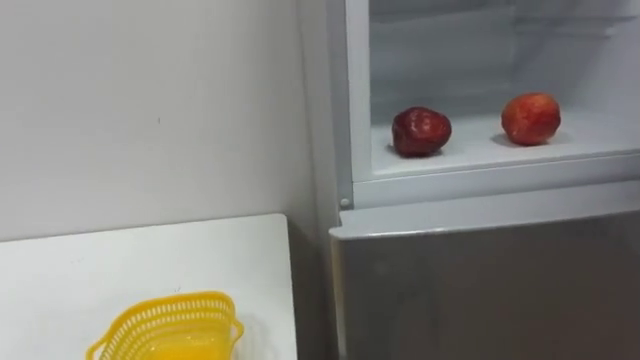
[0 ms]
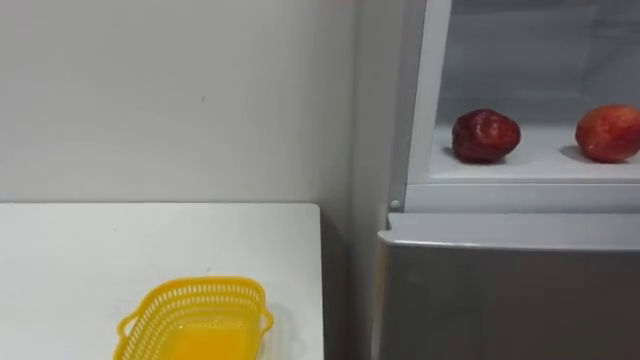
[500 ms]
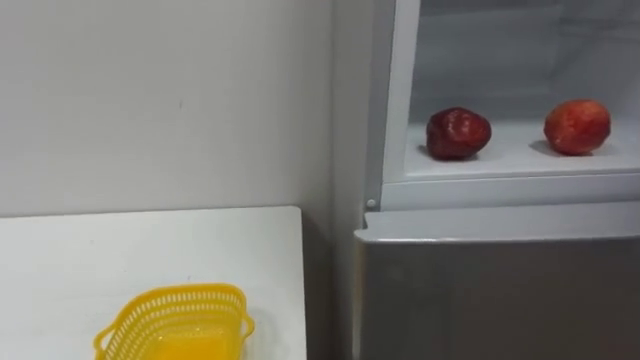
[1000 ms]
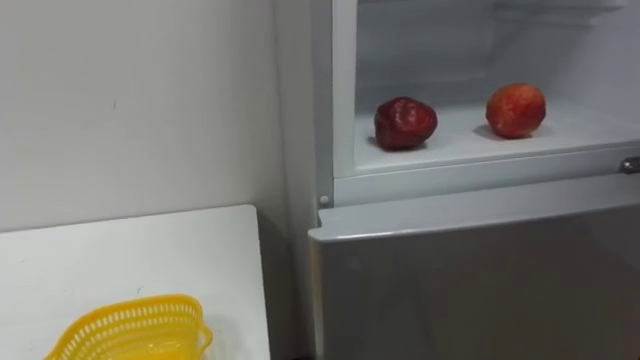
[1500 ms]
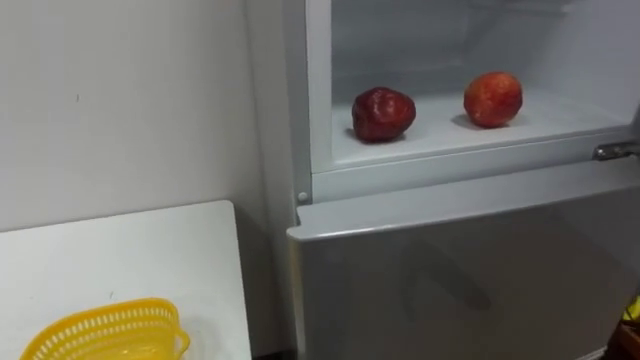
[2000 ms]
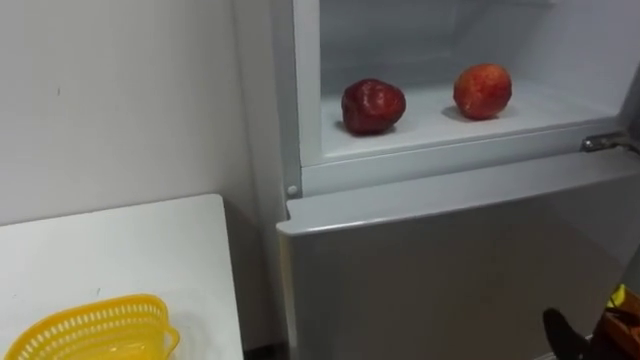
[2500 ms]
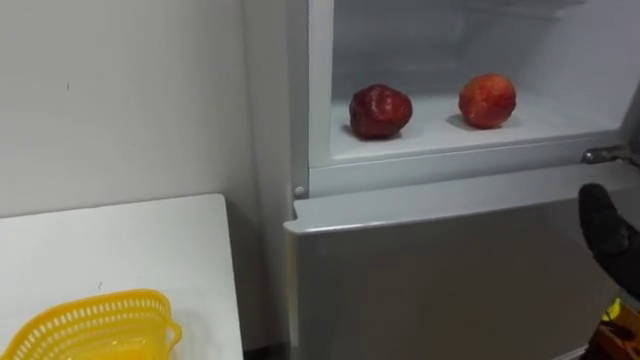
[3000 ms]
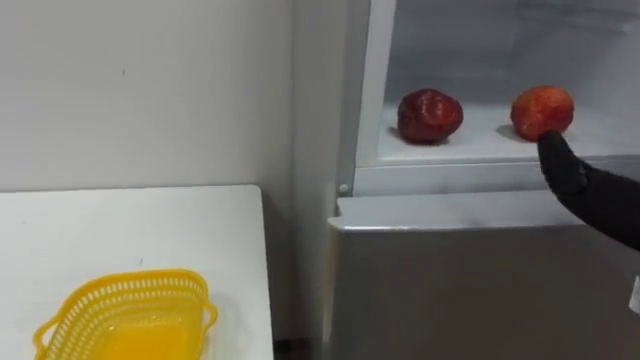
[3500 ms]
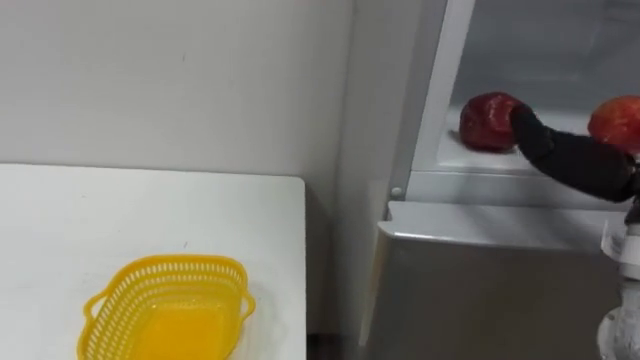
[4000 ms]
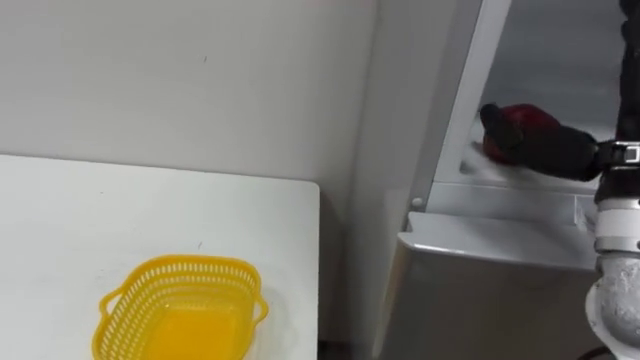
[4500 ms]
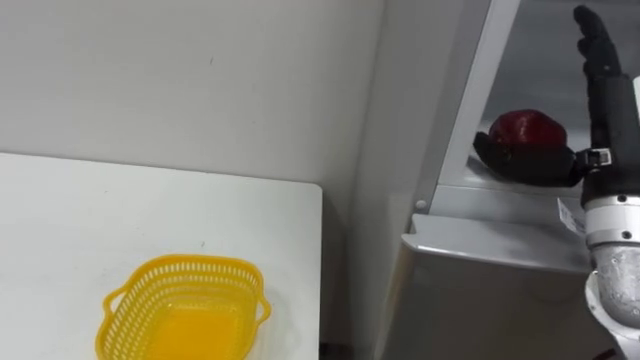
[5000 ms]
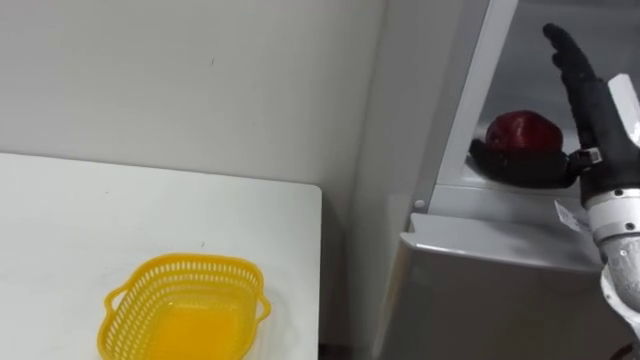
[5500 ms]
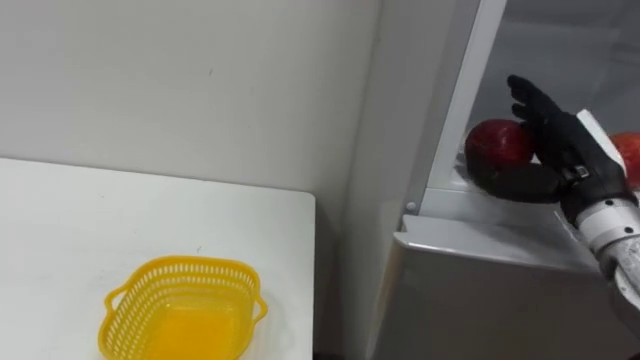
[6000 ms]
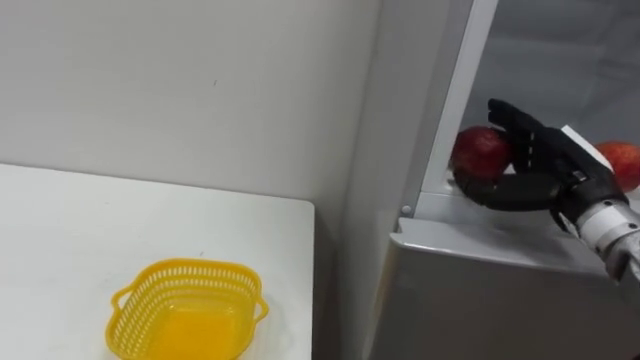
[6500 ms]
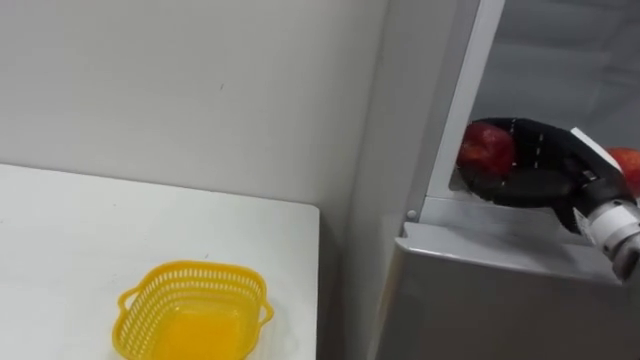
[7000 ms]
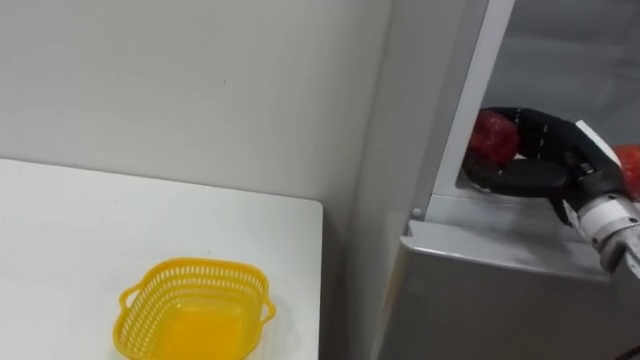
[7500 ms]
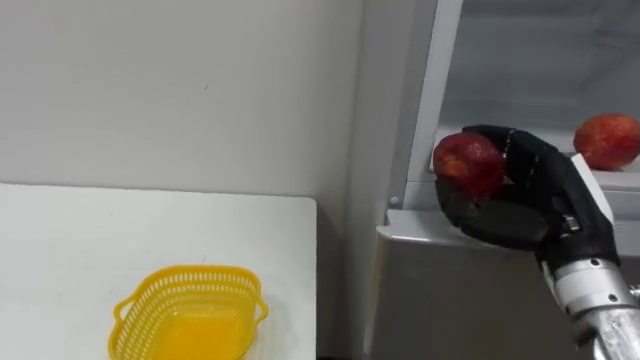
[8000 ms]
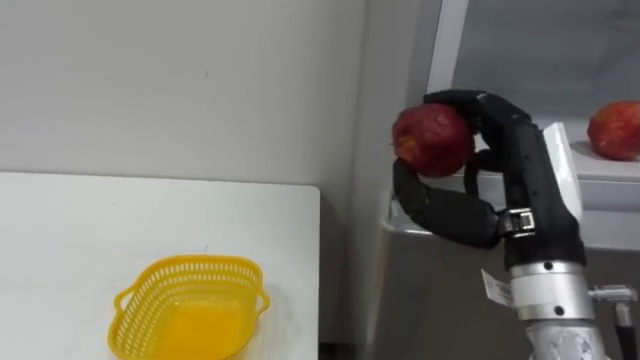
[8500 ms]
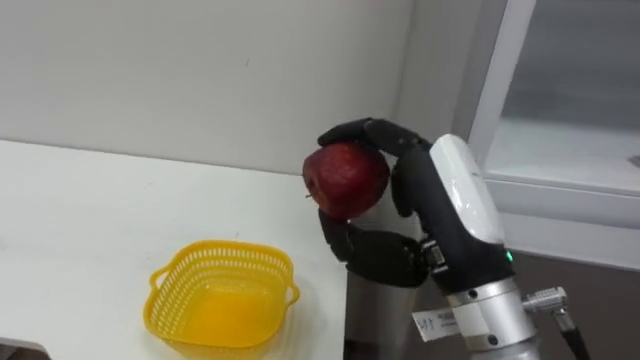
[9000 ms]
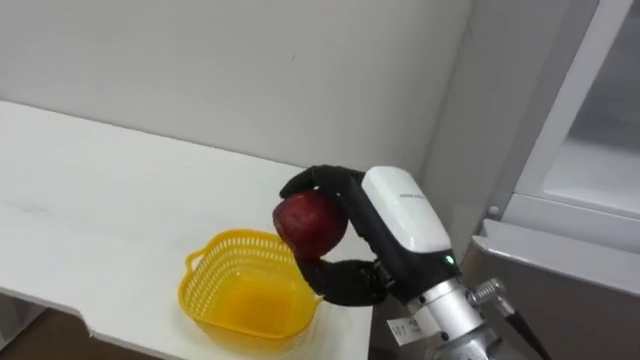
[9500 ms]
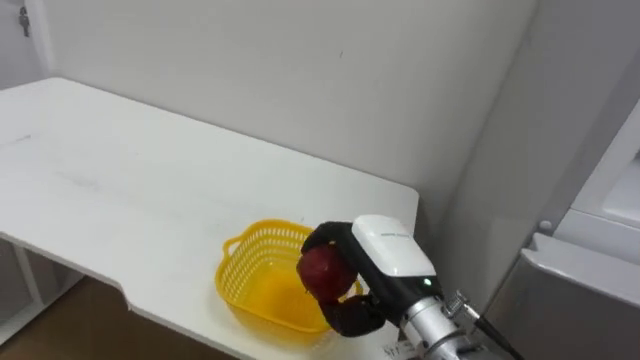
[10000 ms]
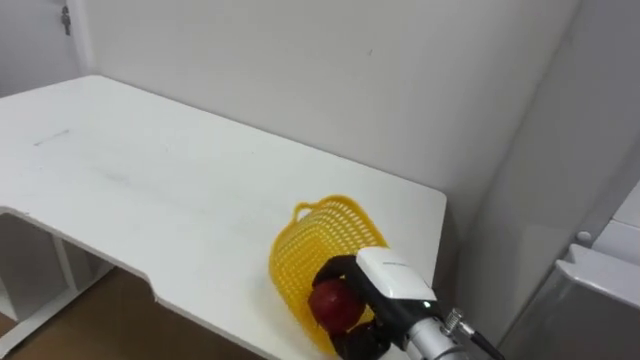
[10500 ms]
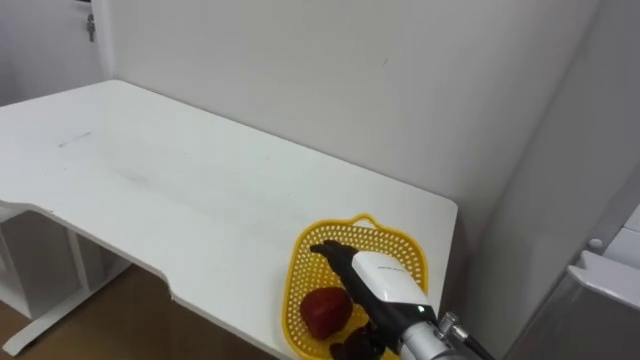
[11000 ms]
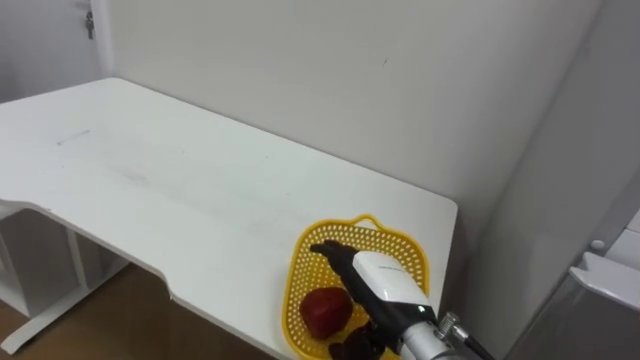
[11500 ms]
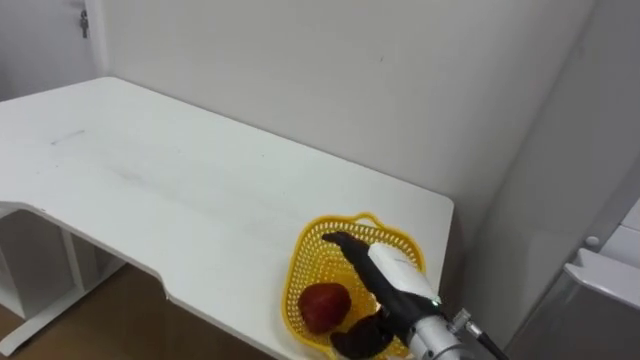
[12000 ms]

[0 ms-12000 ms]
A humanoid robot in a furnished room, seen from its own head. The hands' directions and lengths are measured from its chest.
Task of the whole recording: Open the refrigerator door, take out the apple and the pomegranate, place them in the fruit basket on the left, and close the refrigerator door.
6000 ms to 8000 ms: The right hand moves approximately 5 cm, and closes up.
8000 ms to 10000 ms: The right hand is displaced to the left by roughly 15 cm.
10000 ms to 12000 ms: The right hand goes about 5 cm downward, and opens.

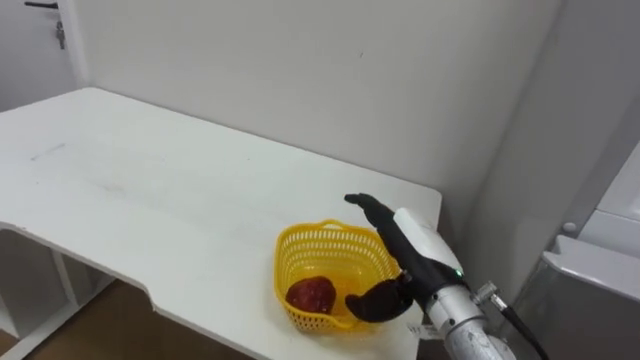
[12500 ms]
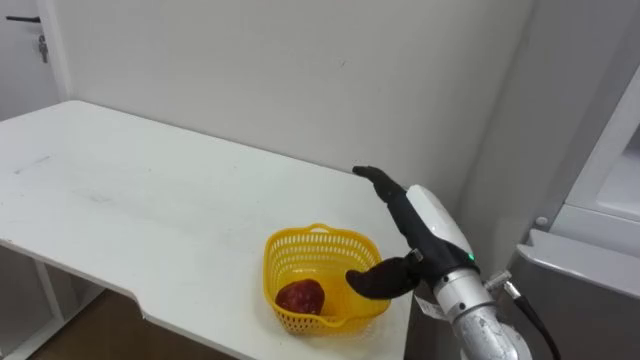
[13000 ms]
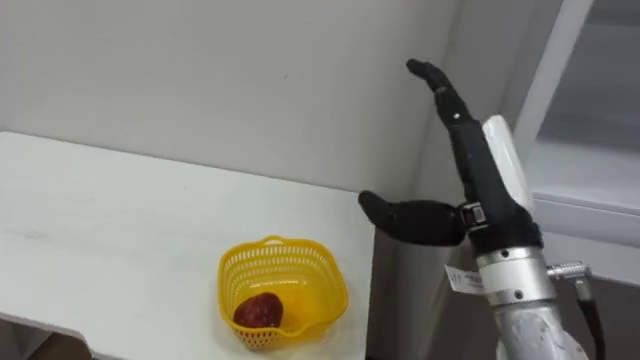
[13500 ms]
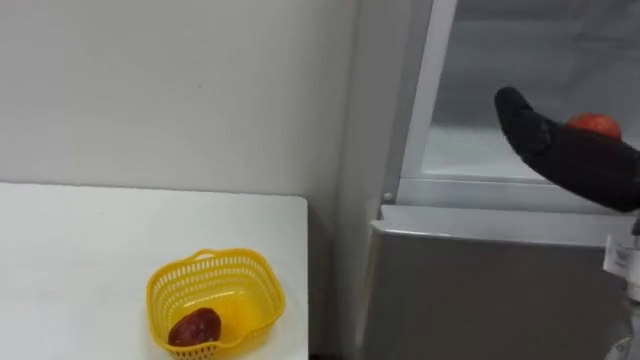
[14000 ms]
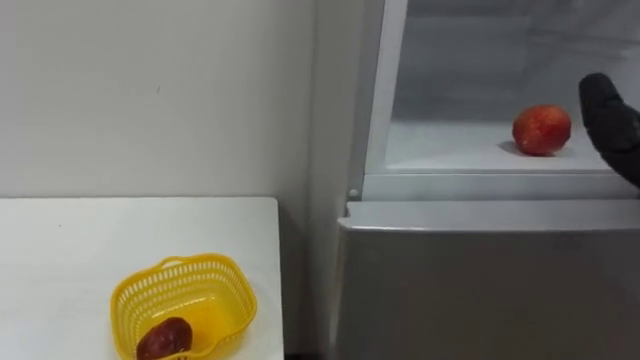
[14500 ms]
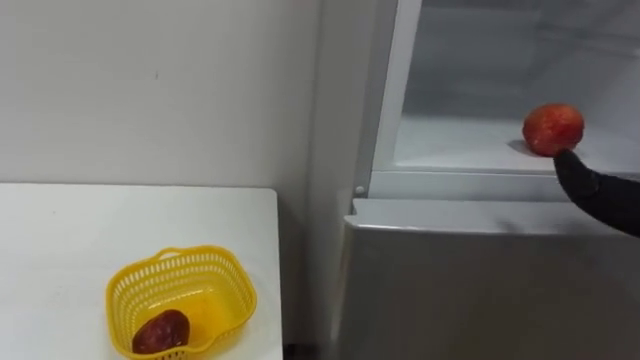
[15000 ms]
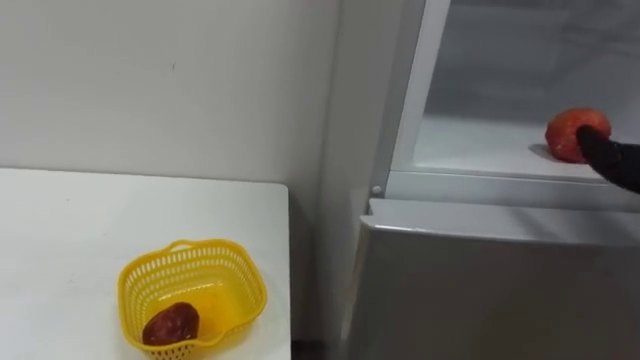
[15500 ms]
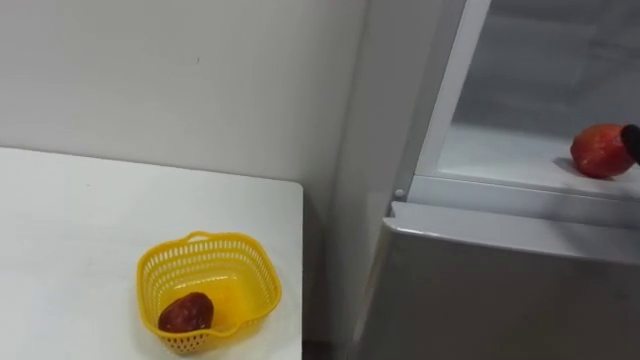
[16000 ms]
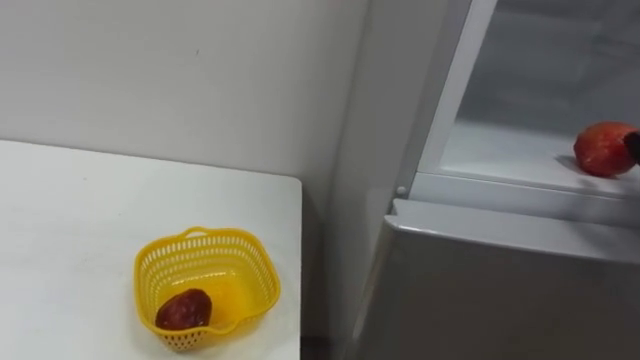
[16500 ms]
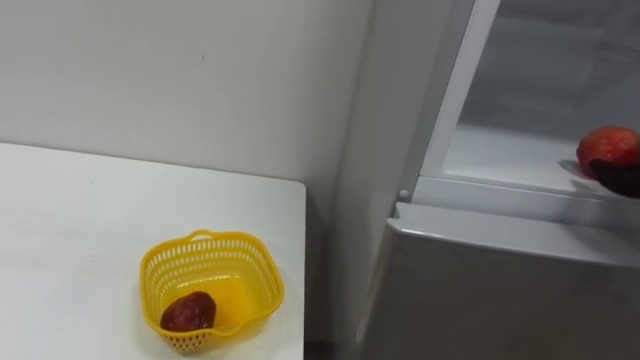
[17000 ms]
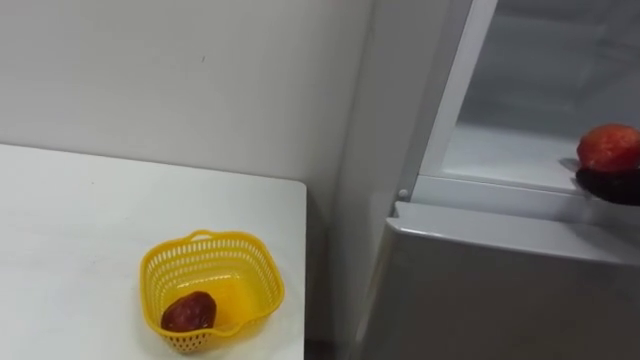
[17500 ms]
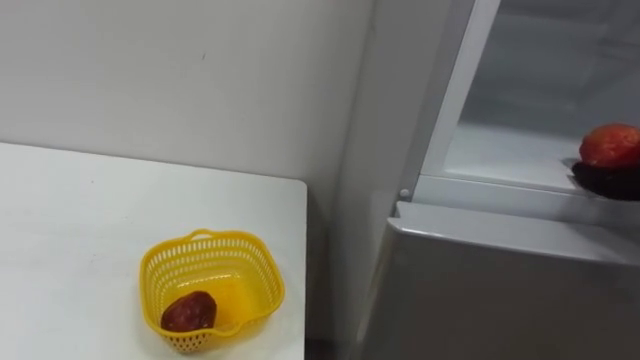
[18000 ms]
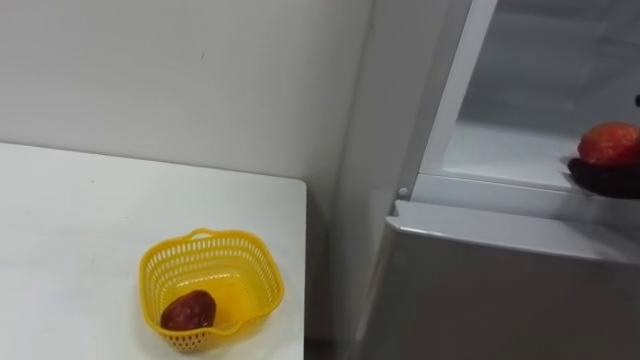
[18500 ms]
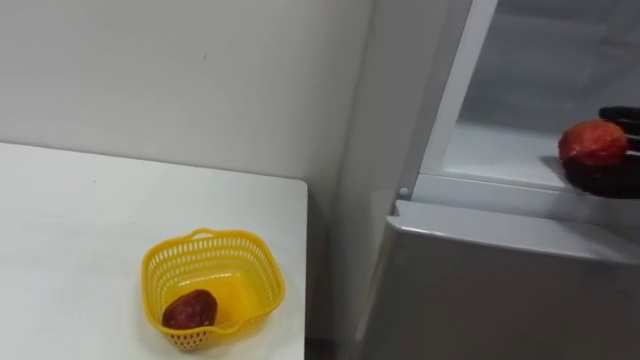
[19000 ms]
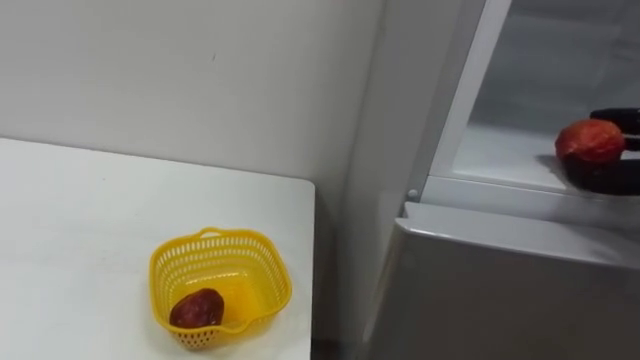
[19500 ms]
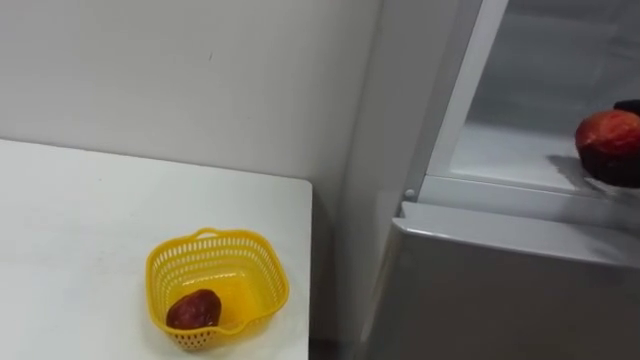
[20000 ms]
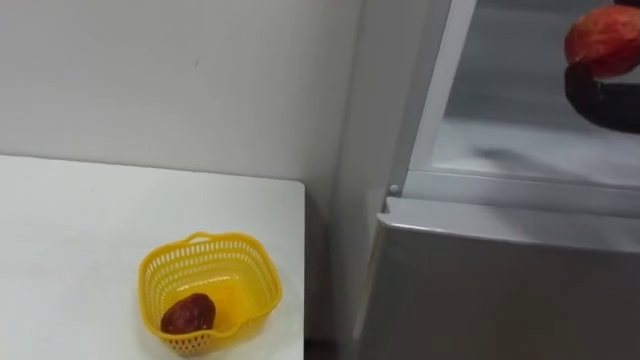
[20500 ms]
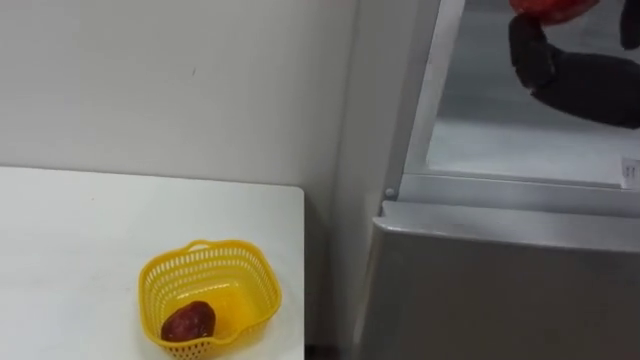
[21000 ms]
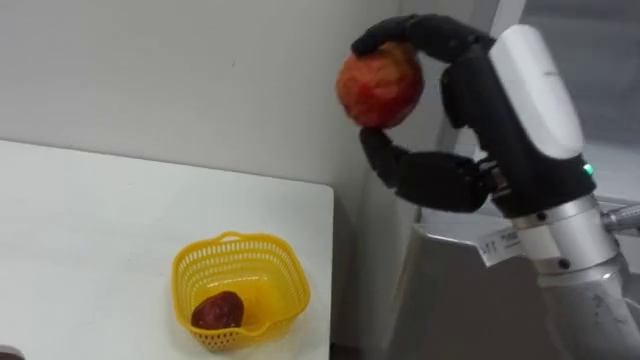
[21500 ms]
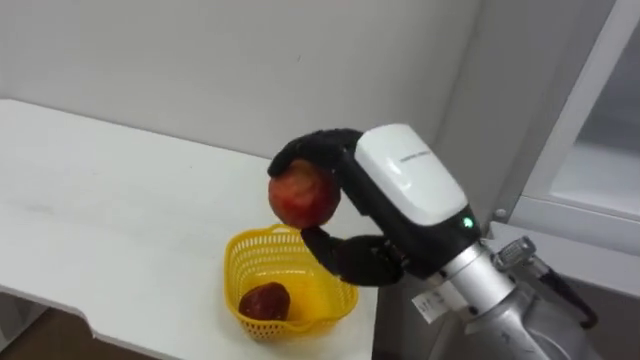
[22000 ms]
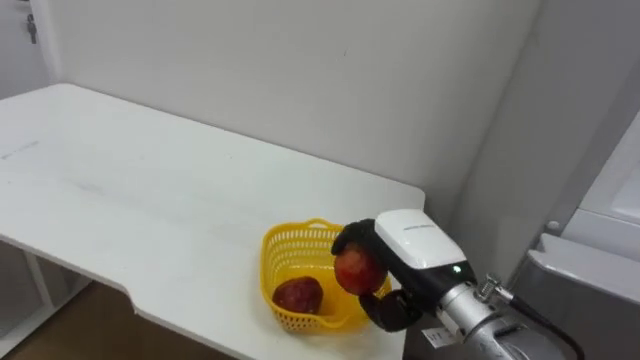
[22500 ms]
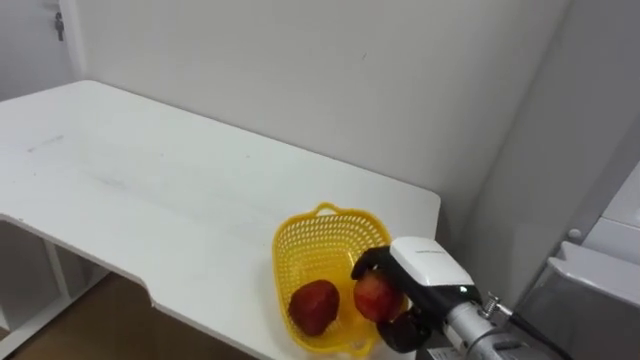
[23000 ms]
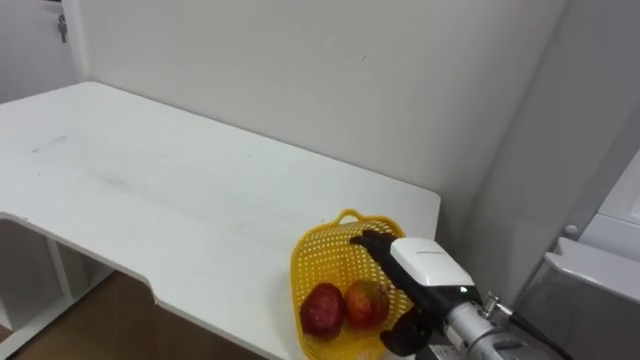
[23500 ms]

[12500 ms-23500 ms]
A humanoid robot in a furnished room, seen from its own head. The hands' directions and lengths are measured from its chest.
Task of the whole recording: Open the refrigerator door, take out the apple and the pomegranate, place them in the fruit basket on the left, and close the refrigerator door.
21500 ms to 23500 ms: The right hand shifts some 25 cm downward, and opens.
